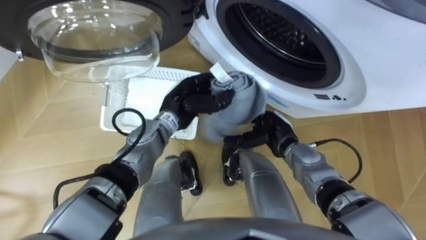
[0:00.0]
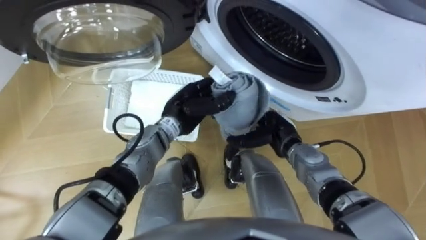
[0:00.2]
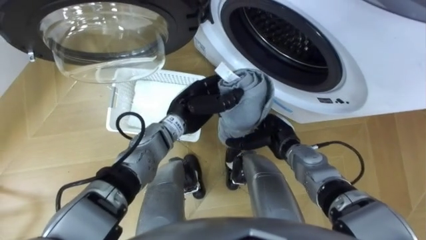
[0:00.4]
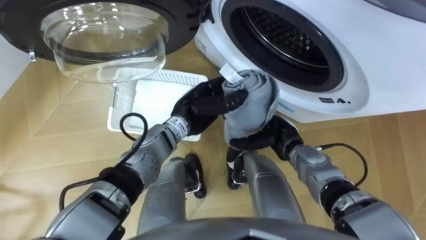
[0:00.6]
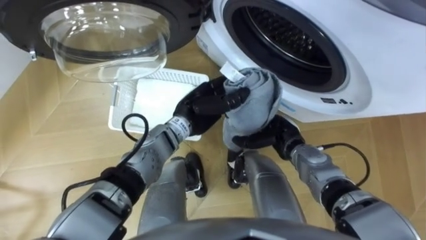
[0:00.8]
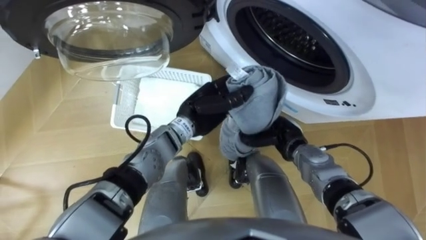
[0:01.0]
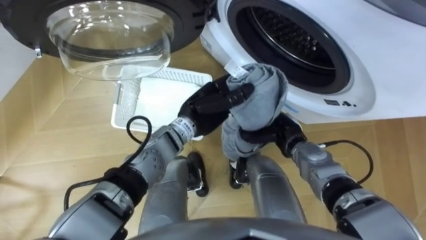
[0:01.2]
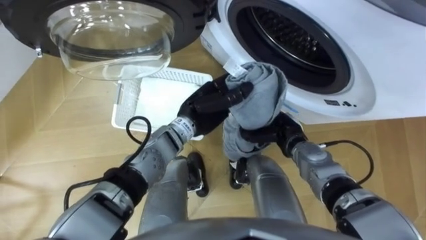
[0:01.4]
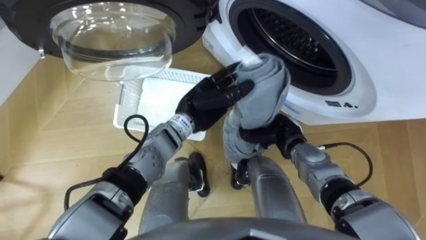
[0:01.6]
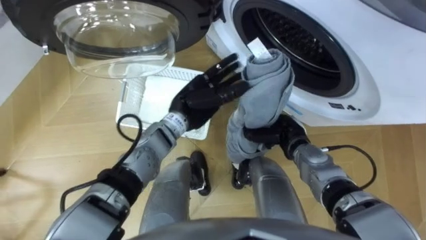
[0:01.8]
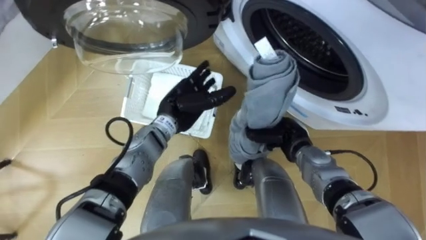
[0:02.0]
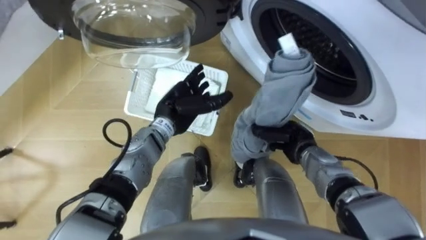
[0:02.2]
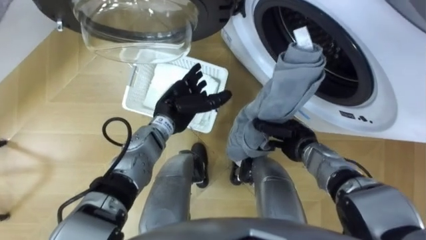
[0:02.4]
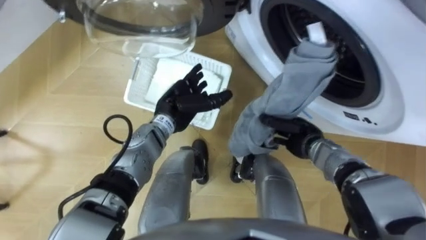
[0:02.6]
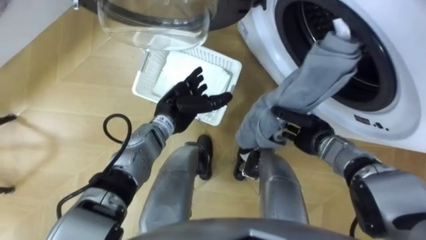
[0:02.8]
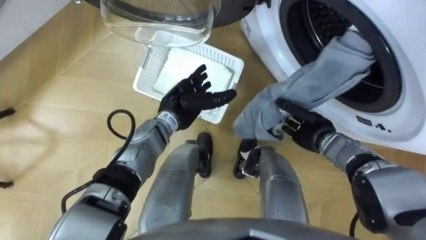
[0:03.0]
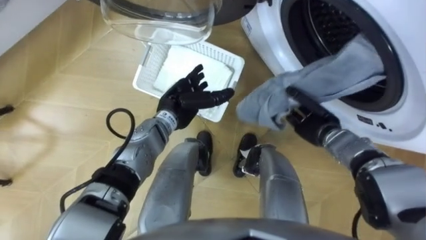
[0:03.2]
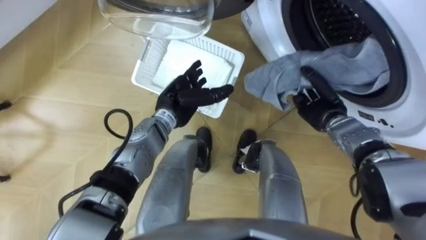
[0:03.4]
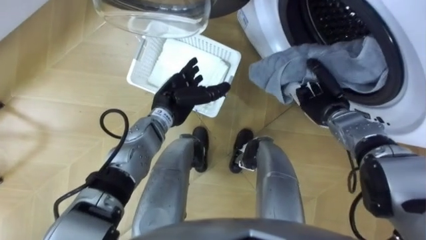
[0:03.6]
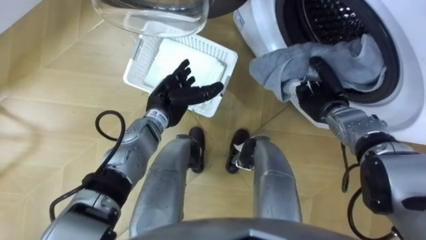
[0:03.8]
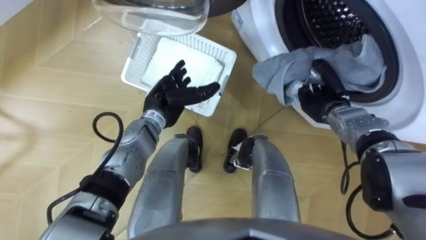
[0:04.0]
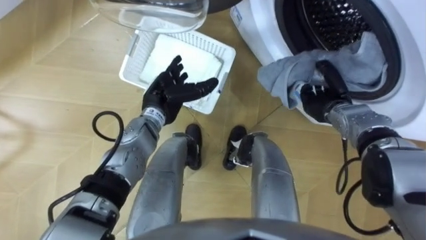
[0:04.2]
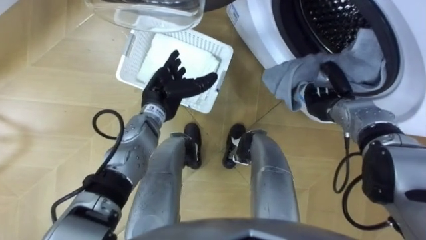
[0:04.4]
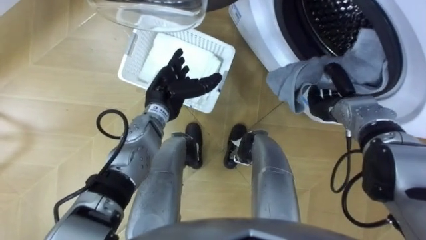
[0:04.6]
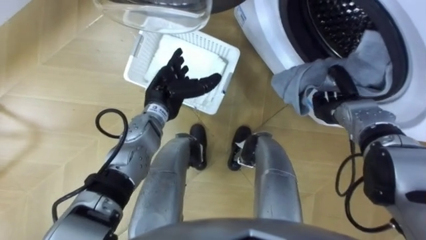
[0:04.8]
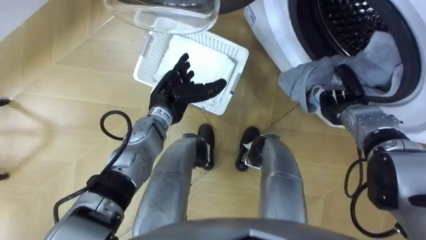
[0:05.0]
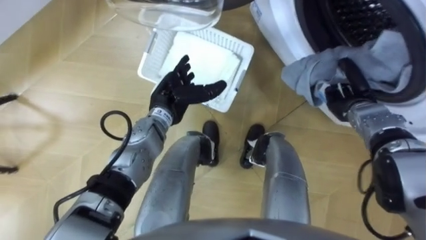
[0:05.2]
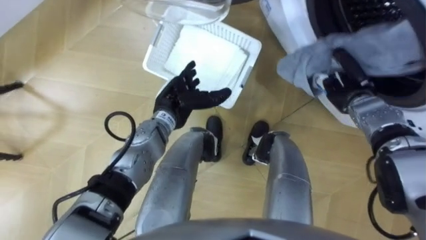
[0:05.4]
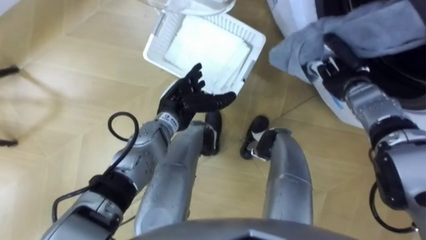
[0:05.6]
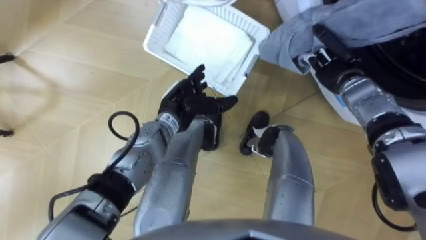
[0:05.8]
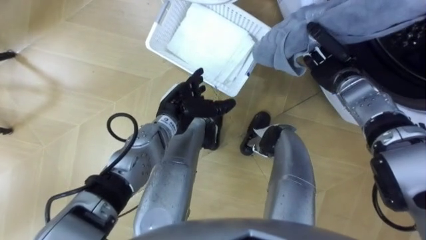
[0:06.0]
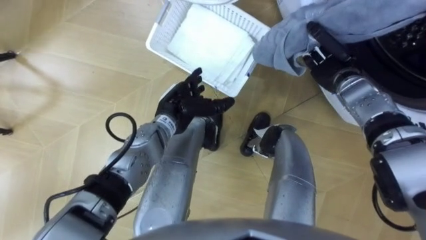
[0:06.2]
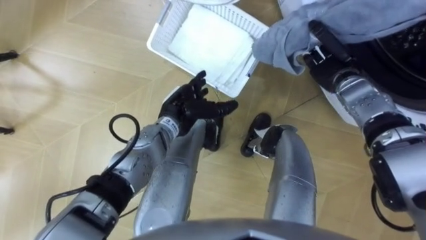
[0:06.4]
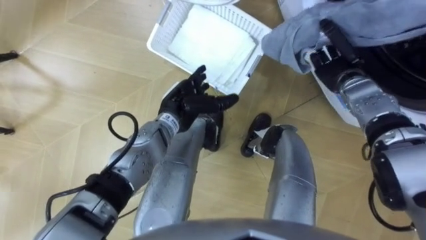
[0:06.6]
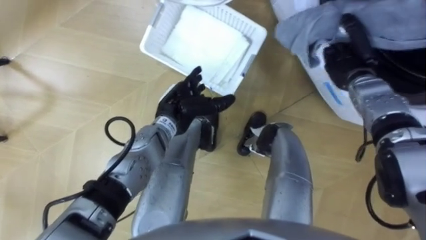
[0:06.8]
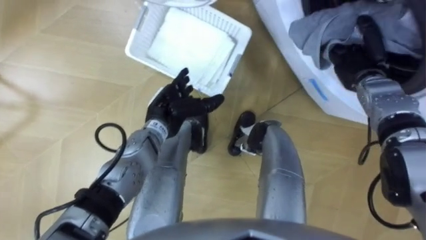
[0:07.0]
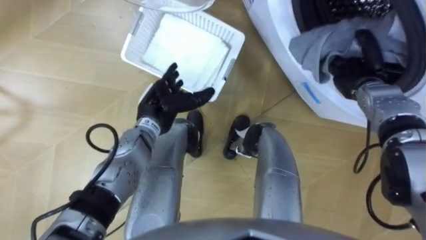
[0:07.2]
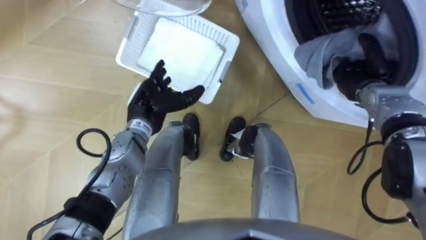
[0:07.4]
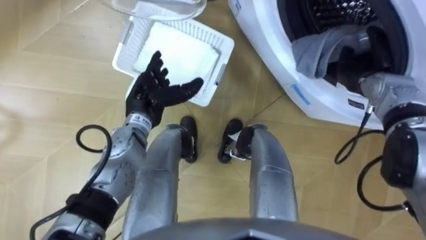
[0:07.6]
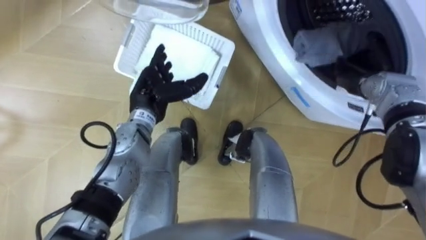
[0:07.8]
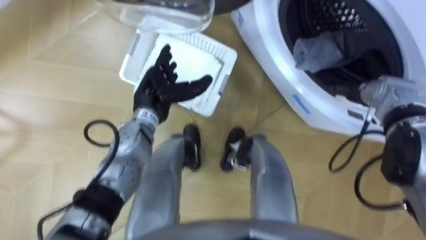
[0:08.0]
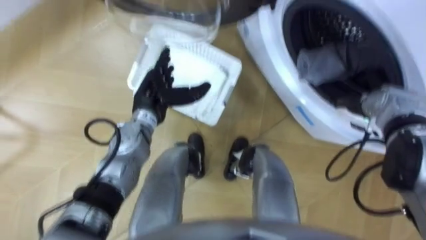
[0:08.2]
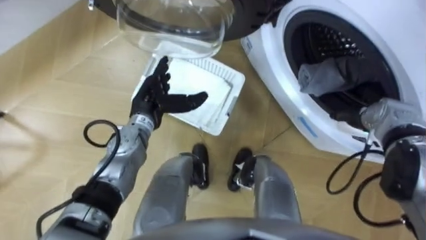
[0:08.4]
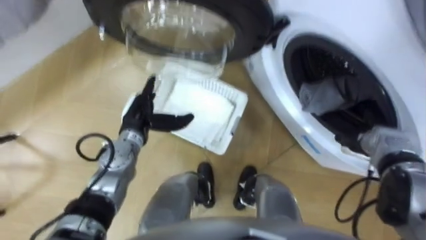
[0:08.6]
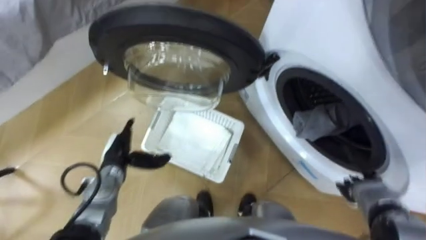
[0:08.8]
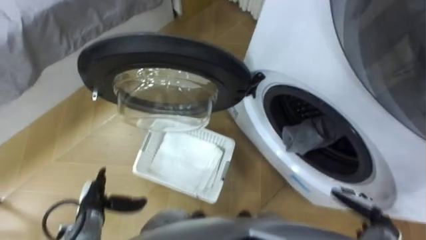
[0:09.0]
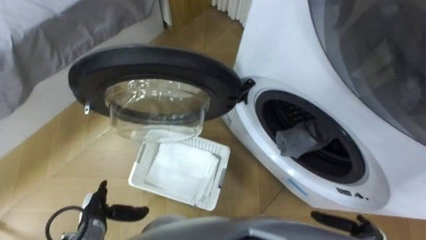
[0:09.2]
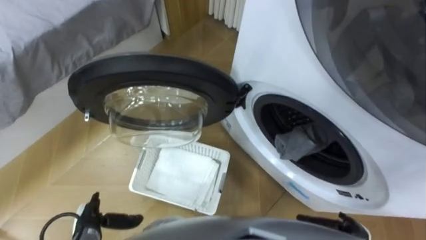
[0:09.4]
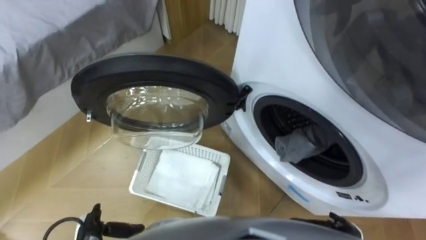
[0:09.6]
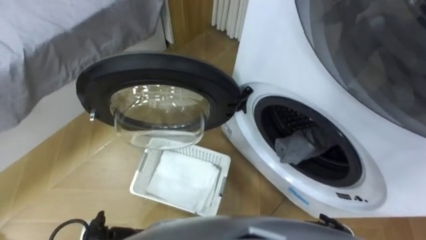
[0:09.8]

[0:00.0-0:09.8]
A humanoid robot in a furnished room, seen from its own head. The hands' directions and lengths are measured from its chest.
Task of the whole recording: Take the towel from the basket and put it into the washing machine.
0:00.0 to 0:01.4: The right hand closes its fingers.
0:01.4 to 0:02.8: The right hand travels to the right by about 5 cm, while the left hand shifts approximately 5 cm to the left, and opens up.
0:02.8 to 0:04.2: The right hand goes some 5 cm forward.
0:04.2 to 0:05.6: The right hand moves upward, roughly 5 cm.
0:07.0 to 0:08.4: The right hand heads backward and downward, covering roughly 10 cm, and opens up.
0:08.4 to 0:09.8: The right hand shifts about 30 cm backward and downward. Meanwhile the left hand is displaced backward, downward and to the left by some 35 cm.

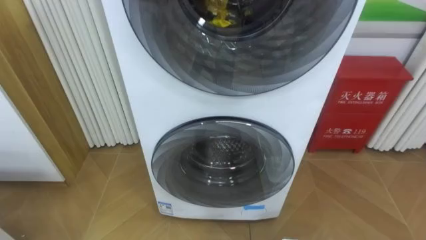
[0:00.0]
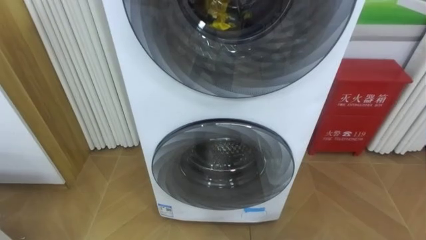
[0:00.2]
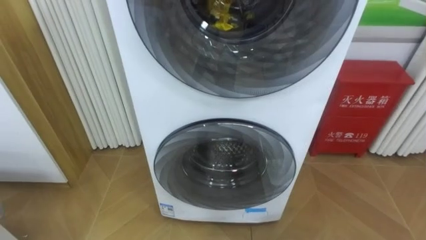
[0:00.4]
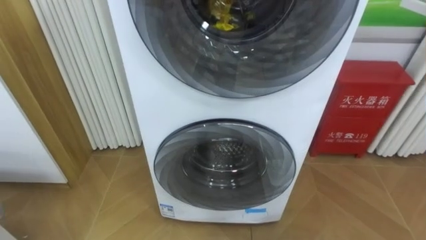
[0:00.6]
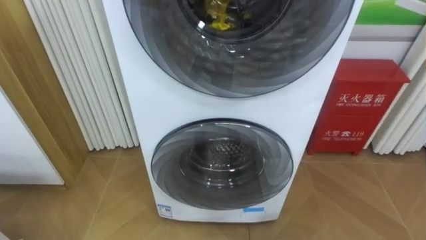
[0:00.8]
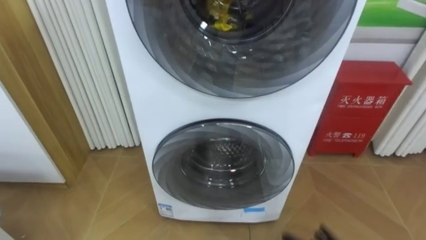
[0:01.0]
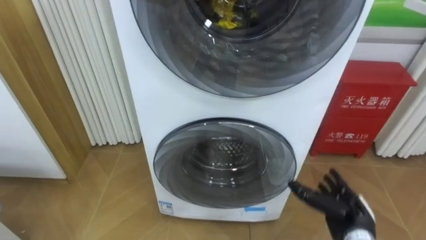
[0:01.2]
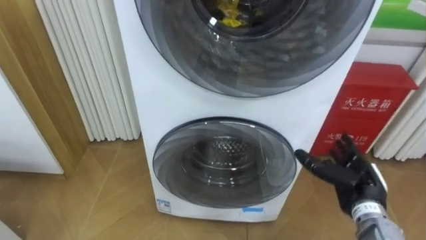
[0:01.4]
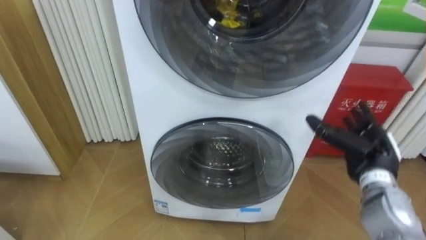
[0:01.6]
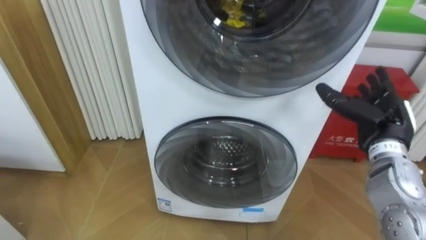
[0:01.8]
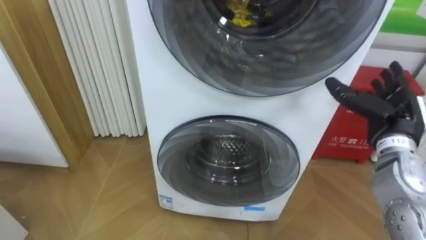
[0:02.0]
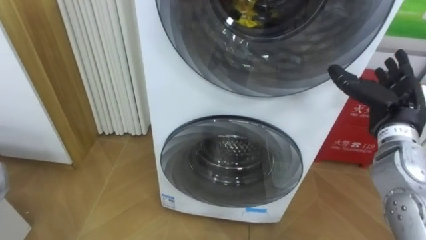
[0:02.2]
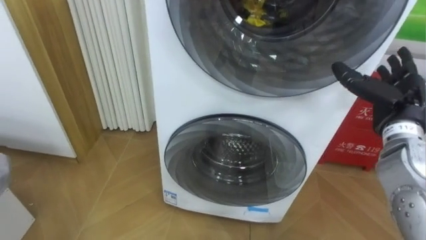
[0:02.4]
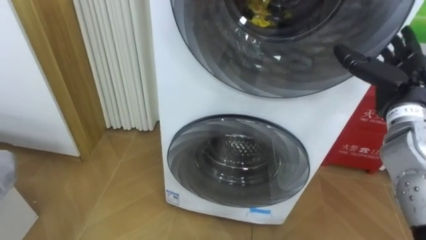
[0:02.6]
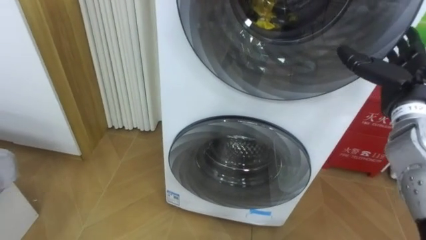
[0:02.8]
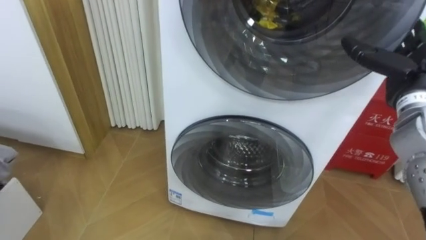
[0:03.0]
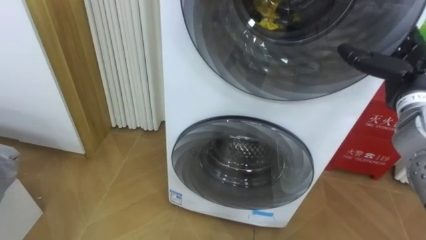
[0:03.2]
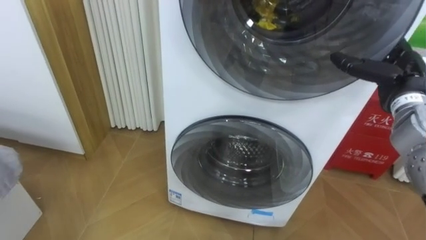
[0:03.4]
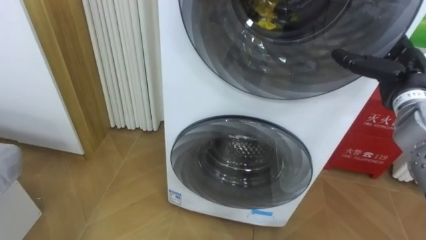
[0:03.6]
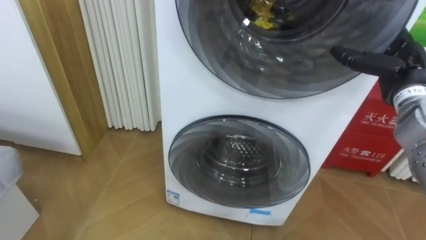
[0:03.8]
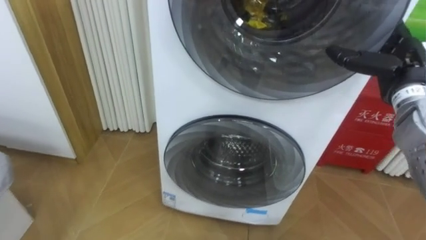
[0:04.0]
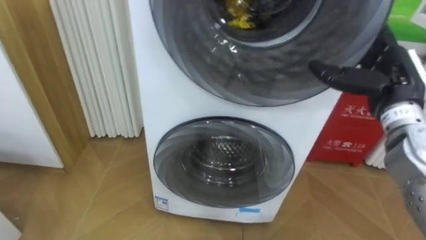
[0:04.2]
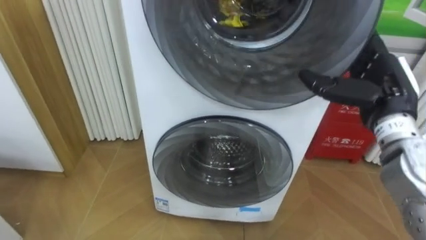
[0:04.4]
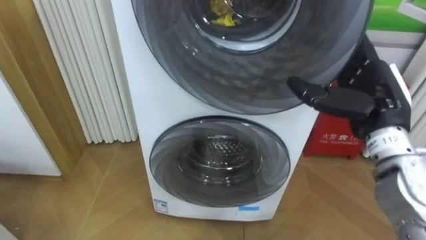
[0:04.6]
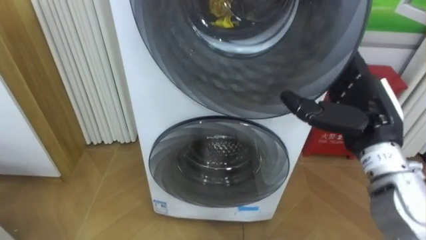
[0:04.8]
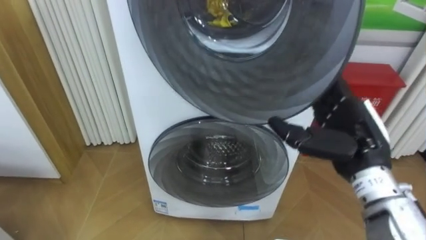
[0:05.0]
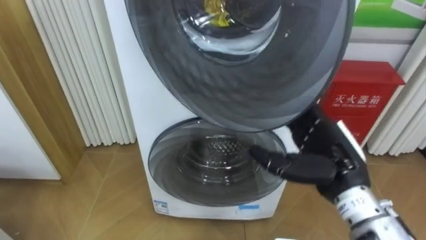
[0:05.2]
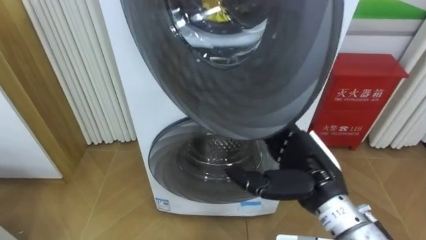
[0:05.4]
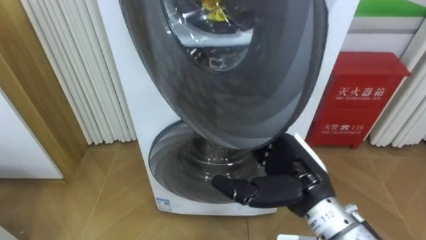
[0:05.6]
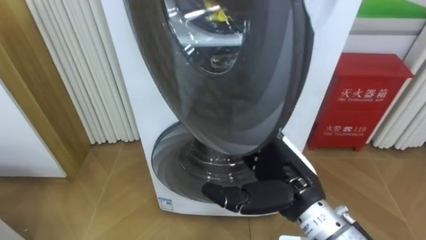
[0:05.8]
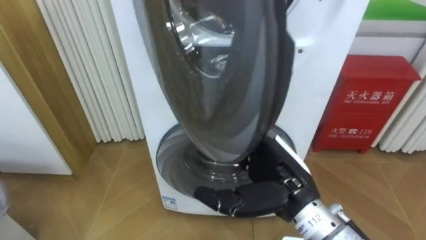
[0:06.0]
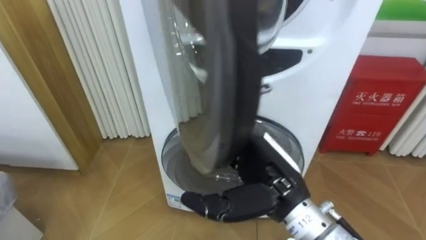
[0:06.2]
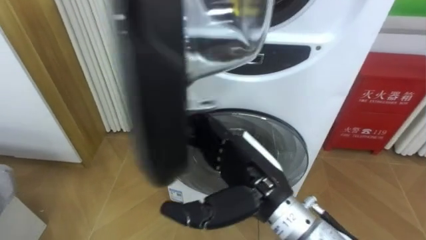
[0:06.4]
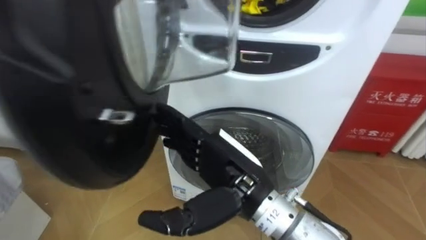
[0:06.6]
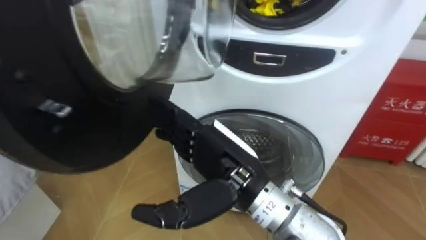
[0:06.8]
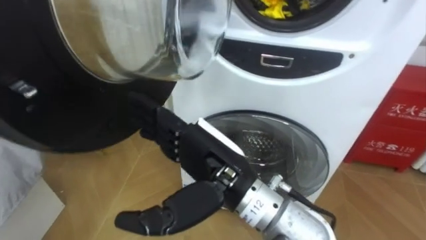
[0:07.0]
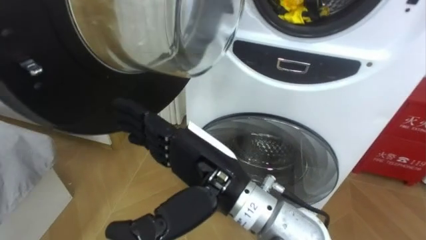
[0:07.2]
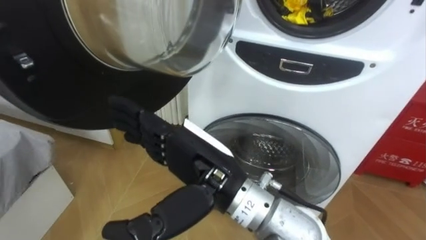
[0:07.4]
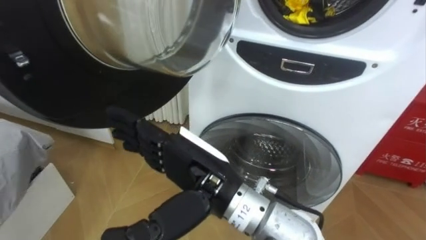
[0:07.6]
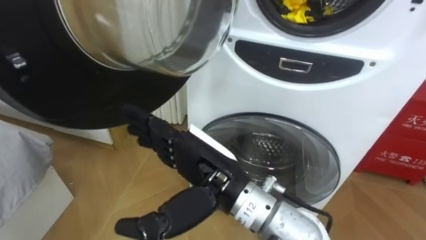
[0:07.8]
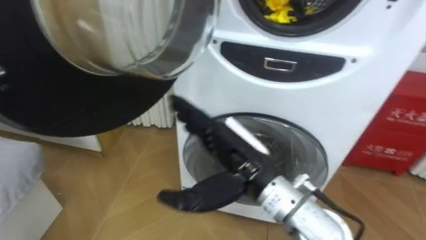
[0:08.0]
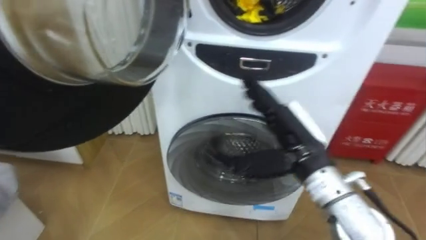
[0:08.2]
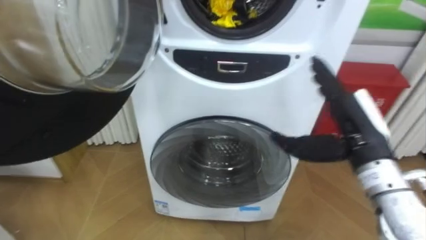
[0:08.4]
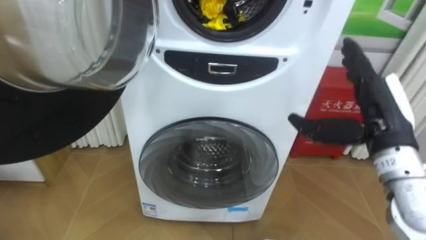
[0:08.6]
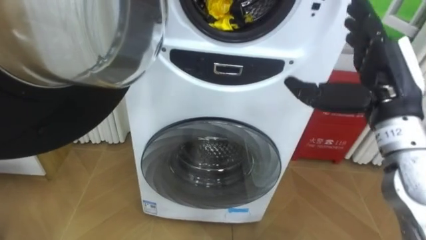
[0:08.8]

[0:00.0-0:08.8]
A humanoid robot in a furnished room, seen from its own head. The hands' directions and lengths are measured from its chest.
Task of the whole recording: Open the washing machine door, take out the yellow clothes, place them in the box on the right, and close the washing machine door.
0:01.4 to 0:03.0: The right hand is displaced upward and forward by approximately 20 cm.
0:03.0 to 0:04.4: The right hand shifts some 5 cm to the left.
0:04.4 to 0:05.8: The right hand travels to the left, backward and downward by some 20 cm.
0:05.8 to 0:07.4: The right hand goes some 15 cm to the left and upward.
0:07.4 to 0:08.8: The right hand shifts about 25 cm to the right.
